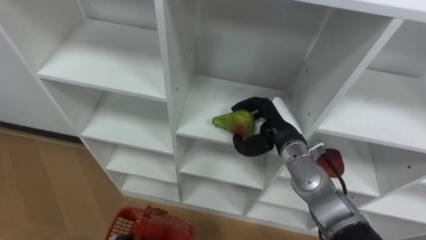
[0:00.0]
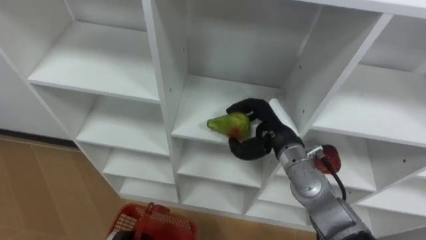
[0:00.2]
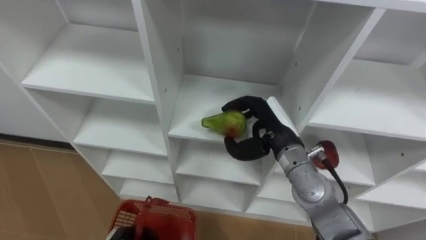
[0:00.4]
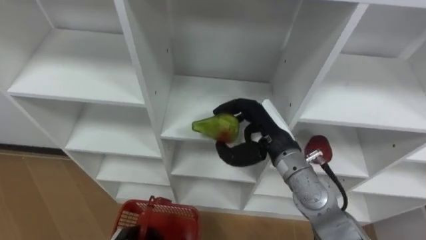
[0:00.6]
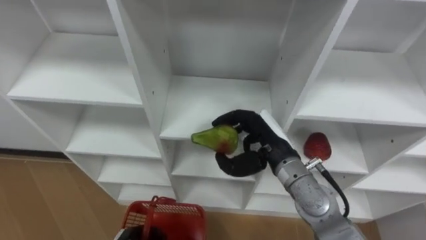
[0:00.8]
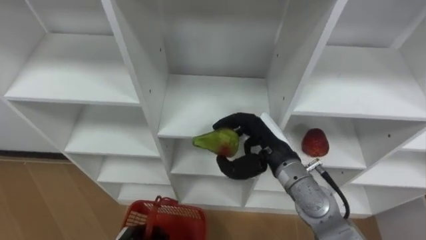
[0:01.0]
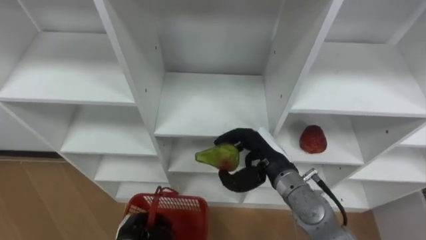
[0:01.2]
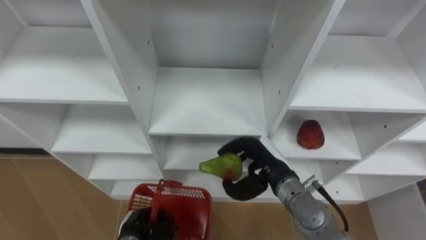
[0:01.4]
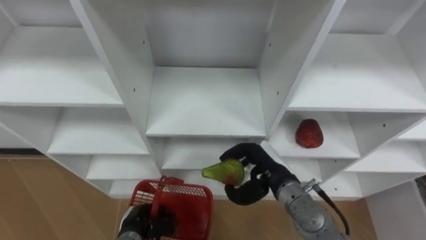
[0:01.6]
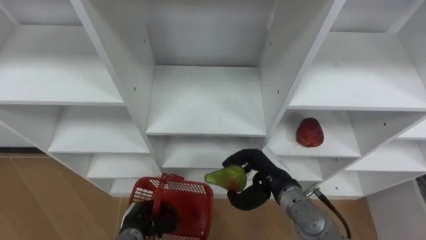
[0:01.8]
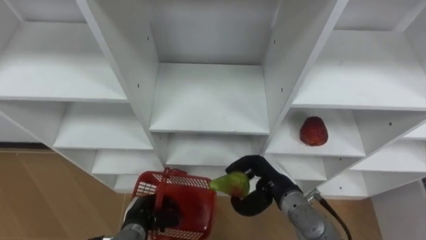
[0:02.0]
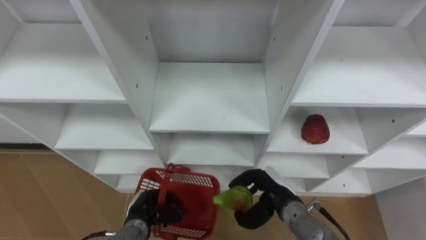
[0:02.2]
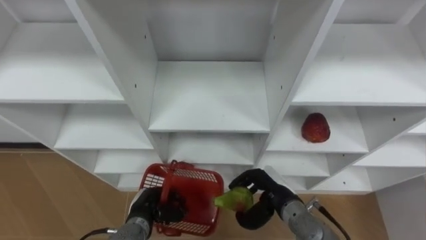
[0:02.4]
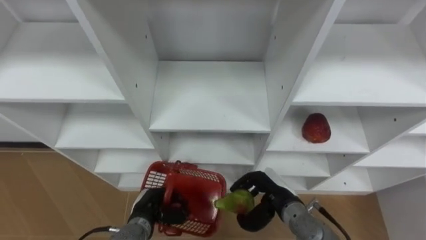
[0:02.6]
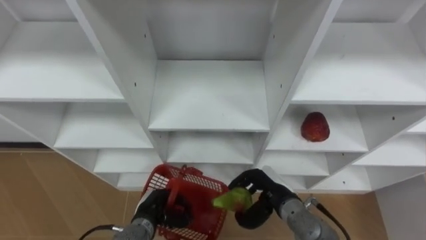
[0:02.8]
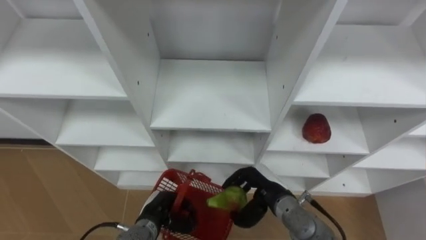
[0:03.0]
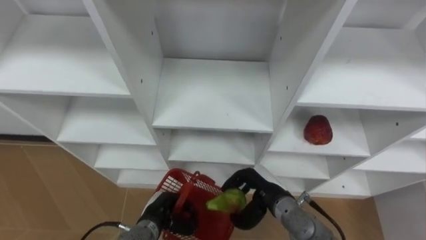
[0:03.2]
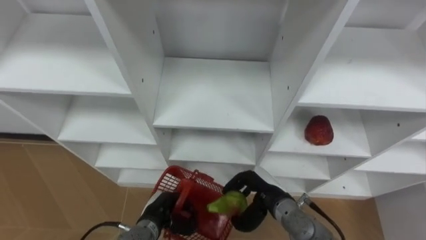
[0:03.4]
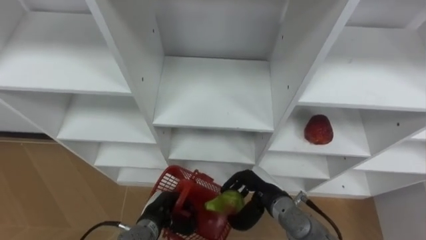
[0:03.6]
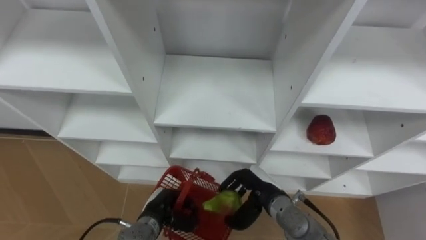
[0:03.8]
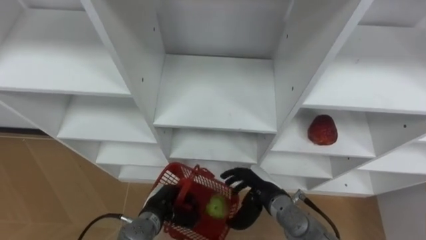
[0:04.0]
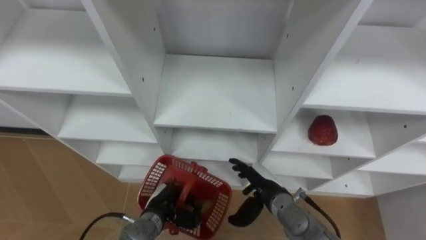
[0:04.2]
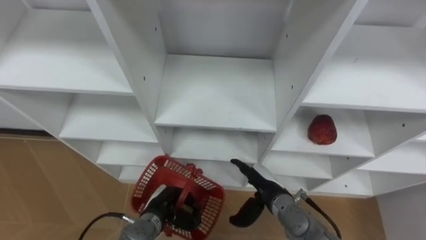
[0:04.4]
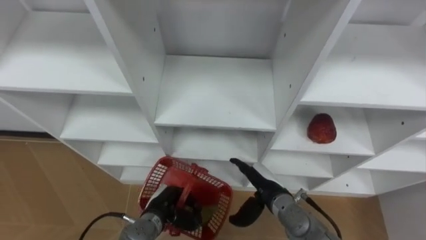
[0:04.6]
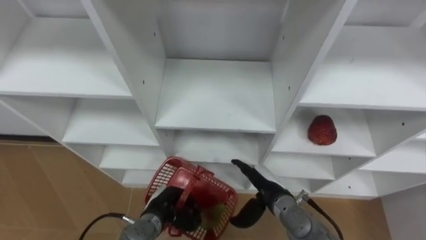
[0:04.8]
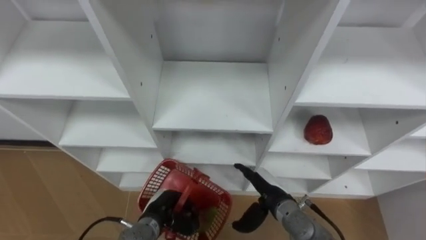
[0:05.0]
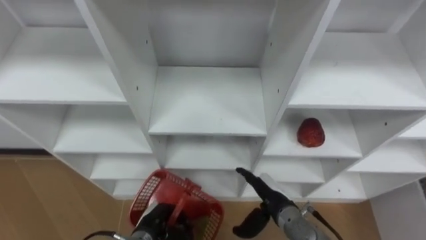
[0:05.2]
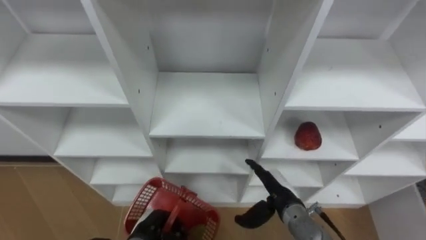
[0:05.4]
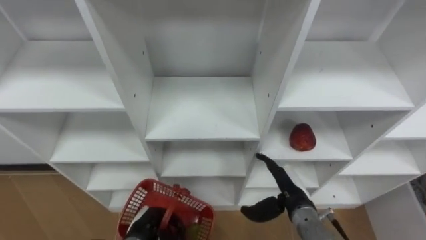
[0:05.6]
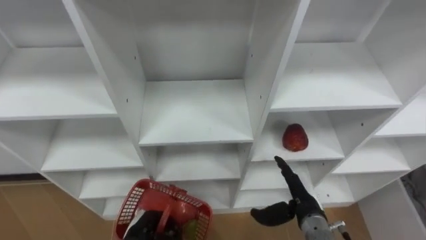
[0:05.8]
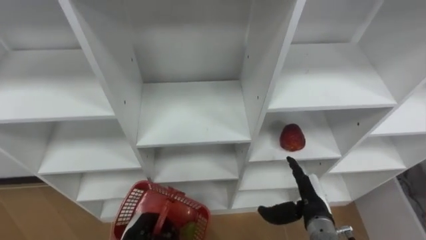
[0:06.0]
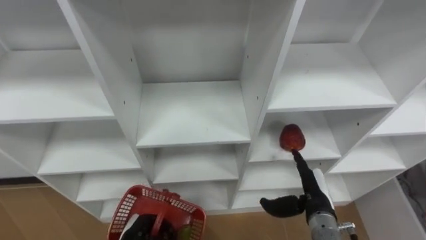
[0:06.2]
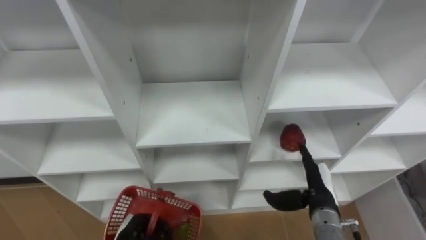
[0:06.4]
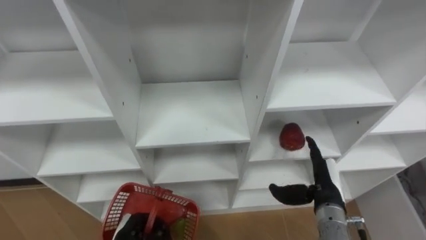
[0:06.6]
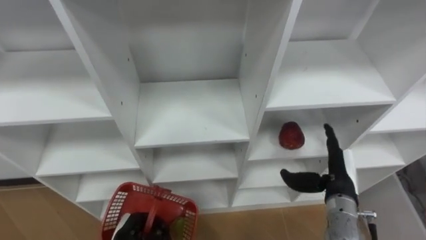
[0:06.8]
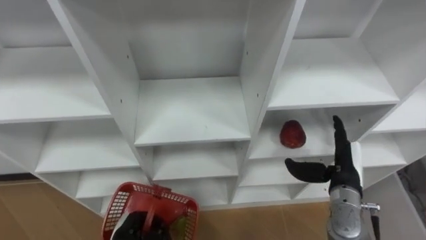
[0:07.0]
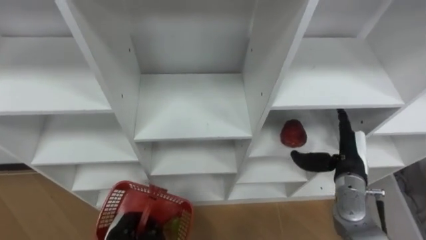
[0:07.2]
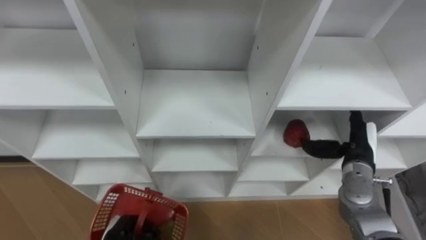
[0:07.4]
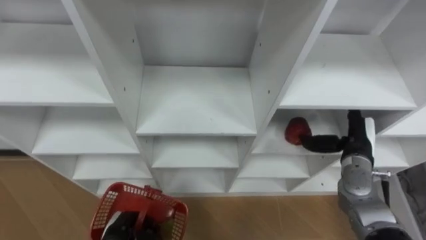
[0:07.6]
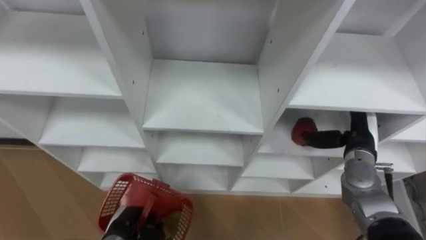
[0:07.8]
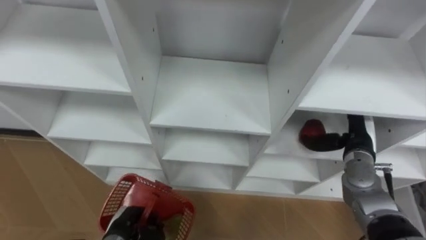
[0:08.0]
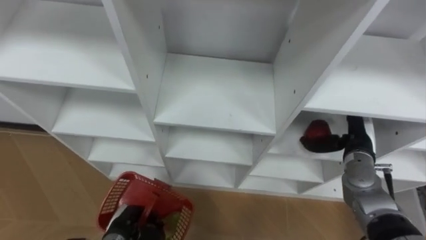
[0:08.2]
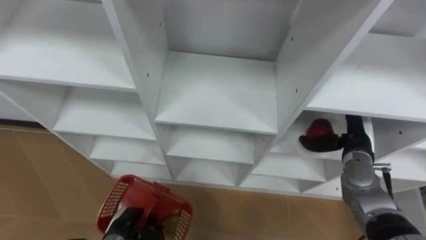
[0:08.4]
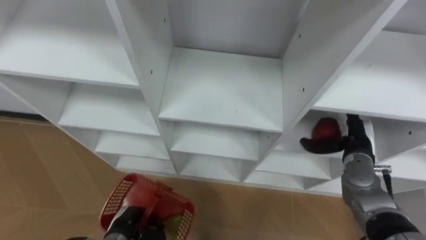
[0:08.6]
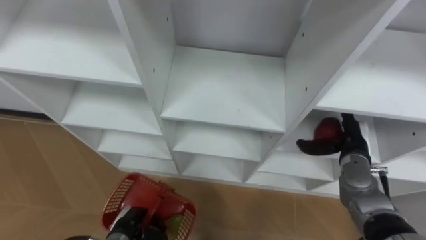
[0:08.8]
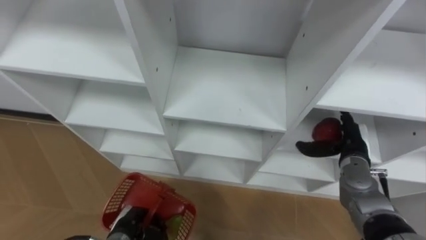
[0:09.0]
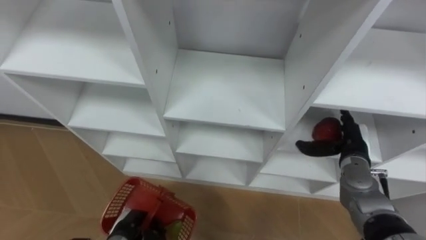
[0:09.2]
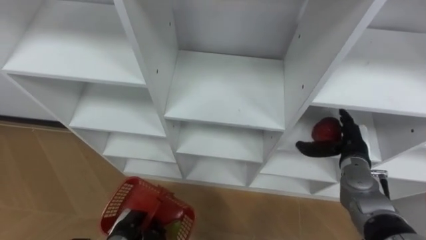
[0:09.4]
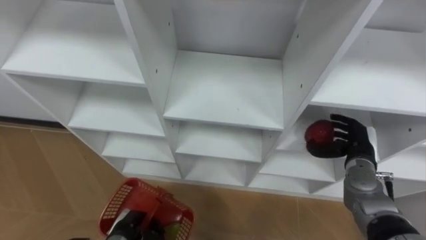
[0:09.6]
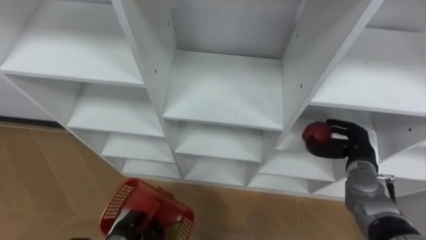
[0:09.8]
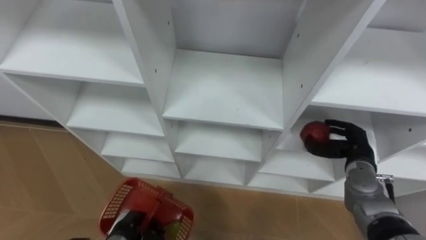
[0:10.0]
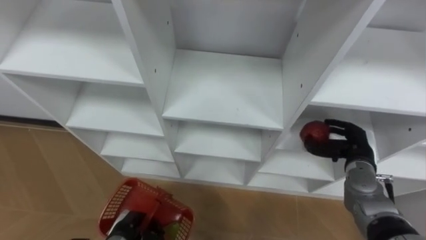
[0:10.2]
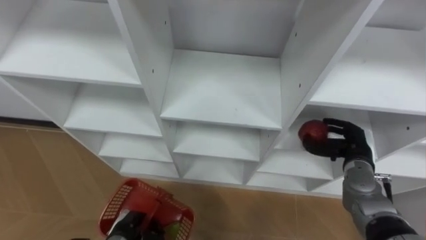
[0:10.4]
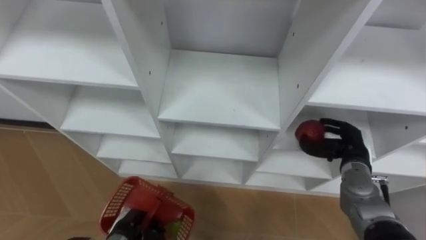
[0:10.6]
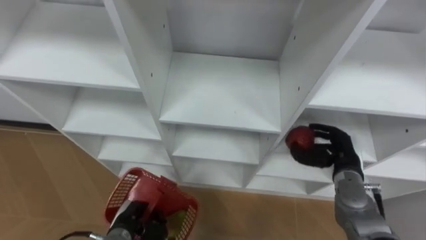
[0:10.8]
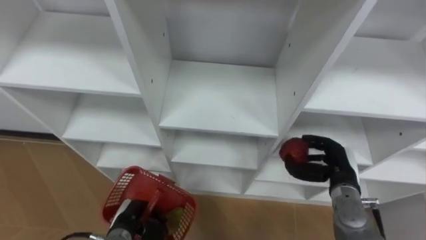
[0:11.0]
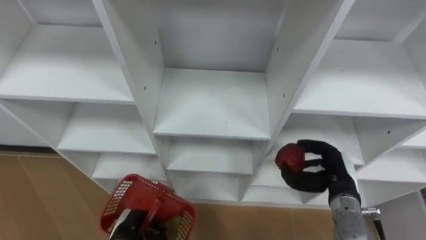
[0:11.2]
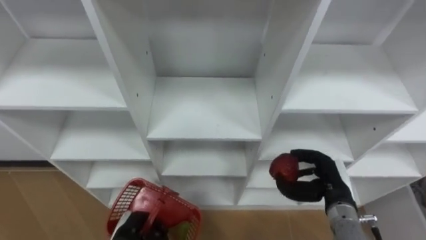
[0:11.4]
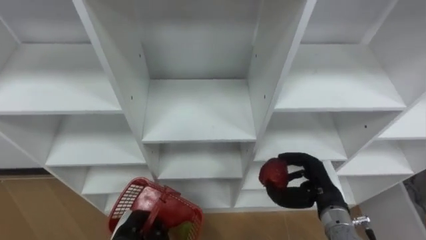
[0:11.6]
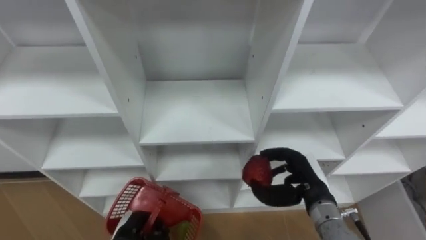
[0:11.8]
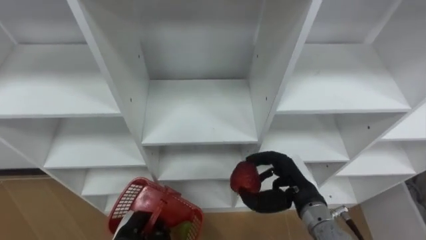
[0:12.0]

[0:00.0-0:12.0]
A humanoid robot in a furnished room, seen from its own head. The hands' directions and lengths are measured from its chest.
Task of the whole recording: Hold the basket and collect the fruits from 3 different cells of the closet into it.
0:00.0 to 0:01.6: The right hand heads backward, covering some 5 cm.
0:01.6 to 0:03.0: The right hand travels downward by approximately 5 cm. The left hand shifts by approximately 5 cm.
0:03.0 to 0:04.4: The right hand opens.
0:04.4 to 0:06.0: The left hand shifts approximately 5 cm backward. Meanwhile the right hand heads to the right, covering approximately 10 cm.
0:06.0 to 0:07.6: The right hand is displaced forward, to the right and upward by approximately 15 cm.
0:09.0 to 0:10.4: The right hand closes.
0:10.4 to 0:12.0: The right hand moves to the left and backward, about 15 cm.

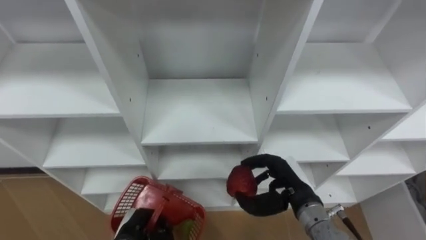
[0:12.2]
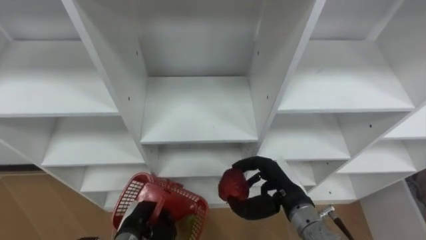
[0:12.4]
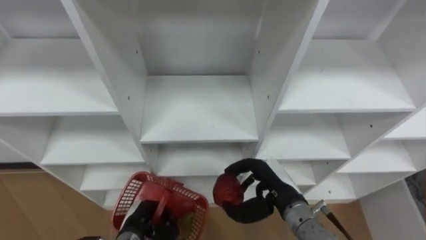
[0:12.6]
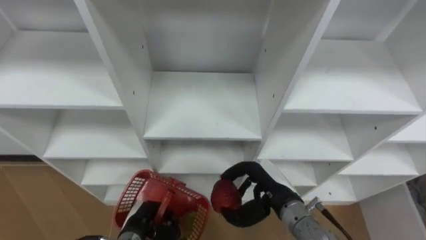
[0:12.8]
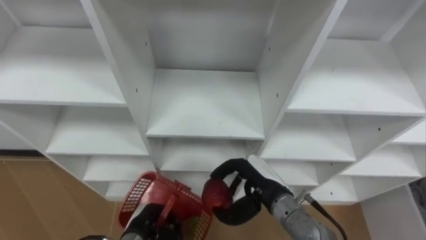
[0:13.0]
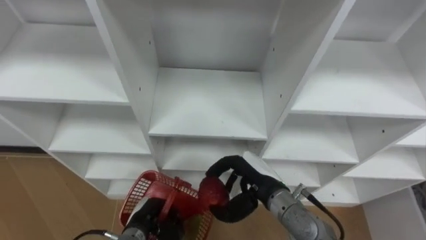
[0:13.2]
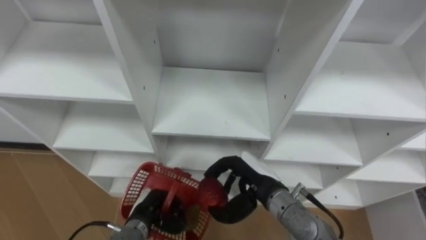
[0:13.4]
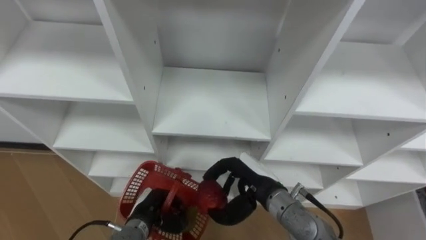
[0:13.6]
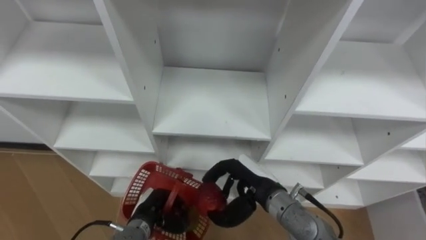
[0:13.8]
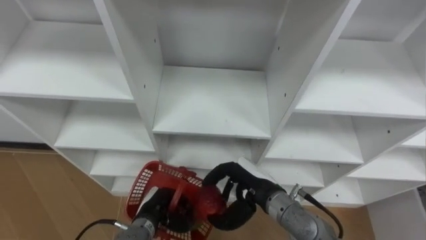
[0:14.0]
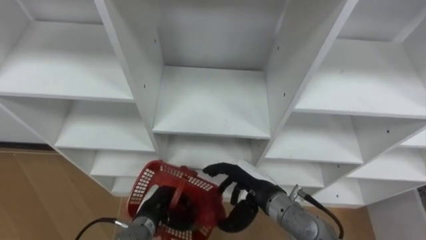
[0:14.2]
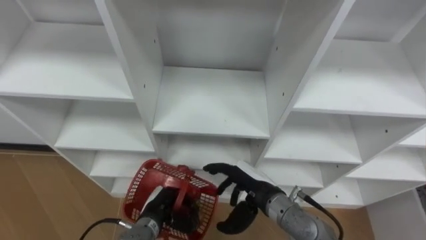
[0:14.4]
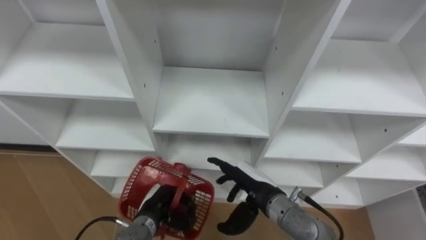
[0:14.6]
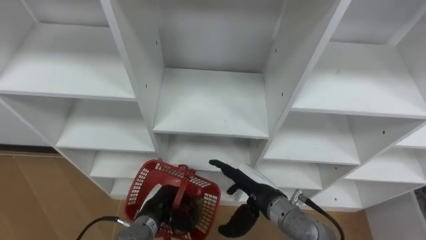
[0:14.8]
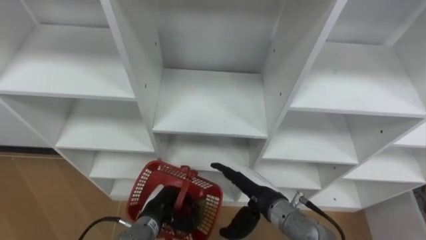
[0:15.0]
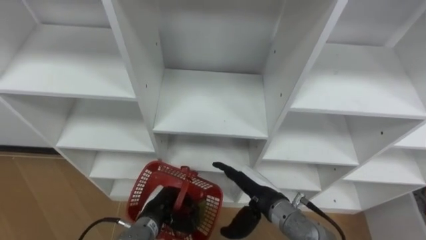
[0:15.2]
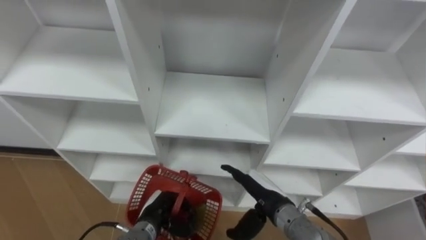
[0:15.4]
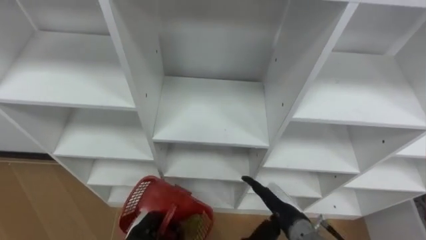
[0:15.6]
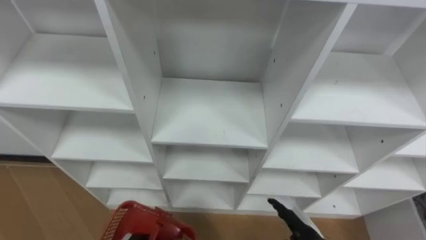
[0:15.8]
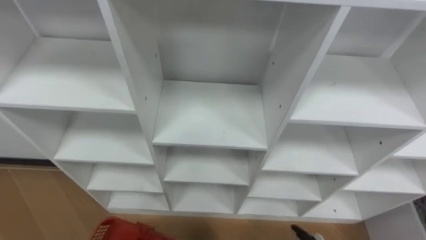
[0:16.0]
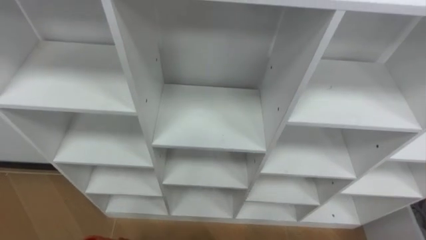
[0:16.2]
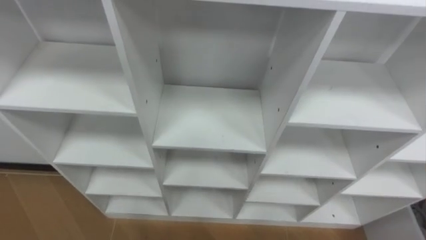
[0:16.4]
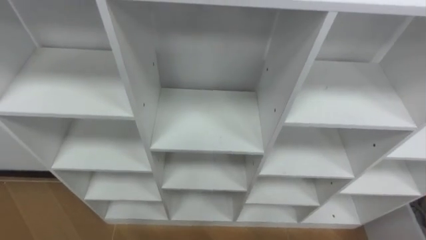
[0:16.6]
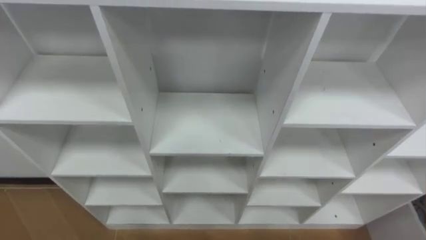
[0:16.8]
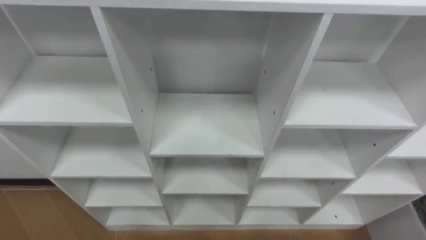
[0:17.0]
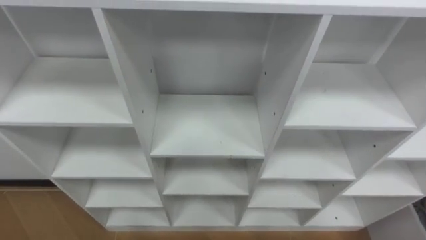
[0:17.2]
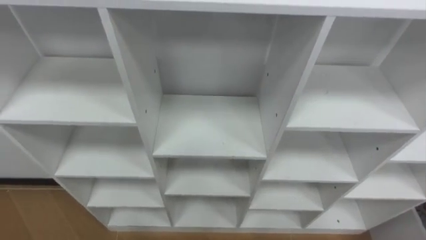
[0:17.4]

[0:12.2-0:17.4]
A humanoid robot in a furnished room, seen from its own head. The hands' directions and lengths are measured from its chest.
Task of the whole recording: Hold the basket and collect the fruits from 3 different cells of the closet into it.
0:12.2 to 0:14.0: The left hand ends up roughly 5 cm from where it was. Meanwhile the right hand travels to the left by about 10 cm.
0:14.0 to 0:15.6: The right hand ends up approximately 5 cm from where it was, and opens.
